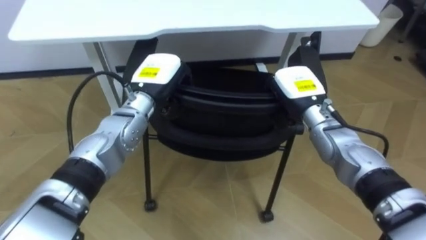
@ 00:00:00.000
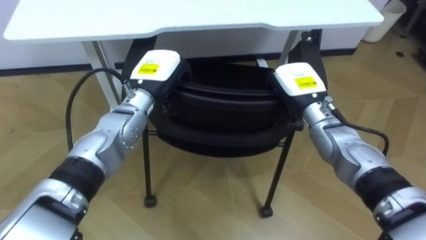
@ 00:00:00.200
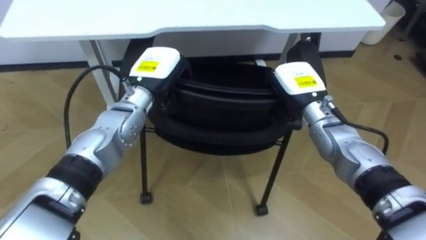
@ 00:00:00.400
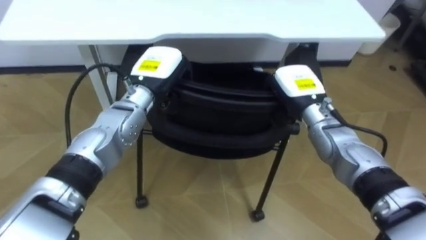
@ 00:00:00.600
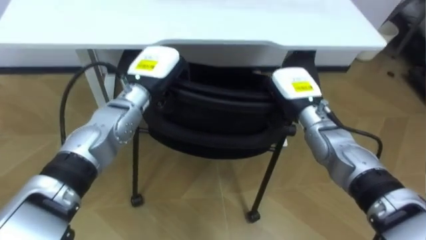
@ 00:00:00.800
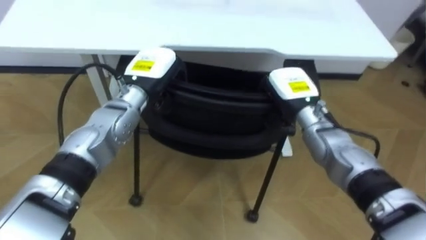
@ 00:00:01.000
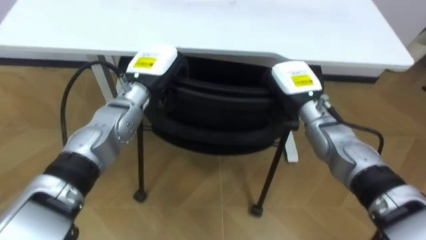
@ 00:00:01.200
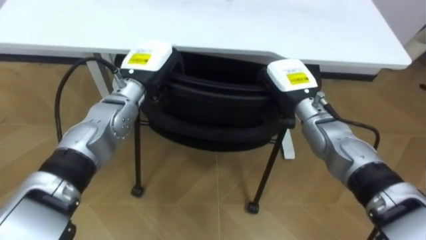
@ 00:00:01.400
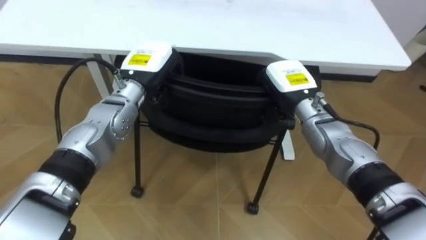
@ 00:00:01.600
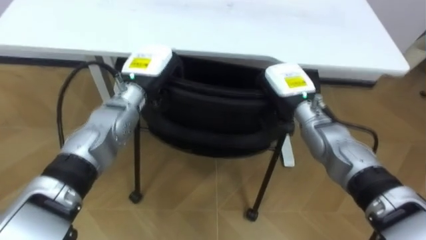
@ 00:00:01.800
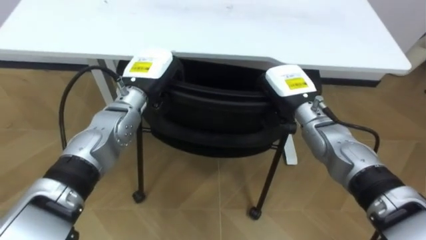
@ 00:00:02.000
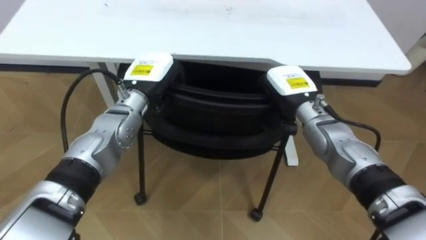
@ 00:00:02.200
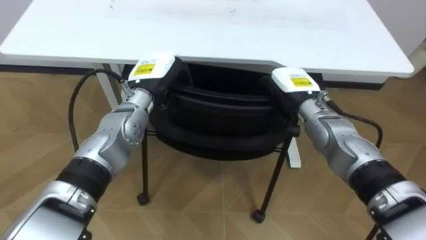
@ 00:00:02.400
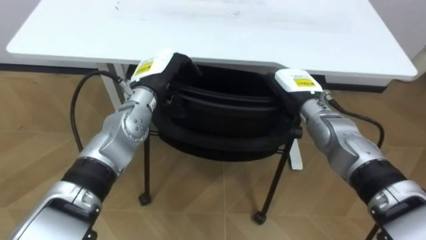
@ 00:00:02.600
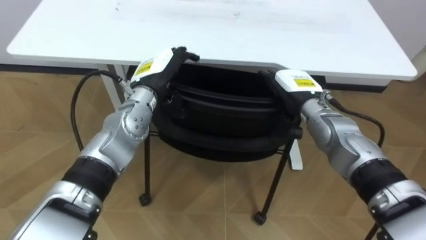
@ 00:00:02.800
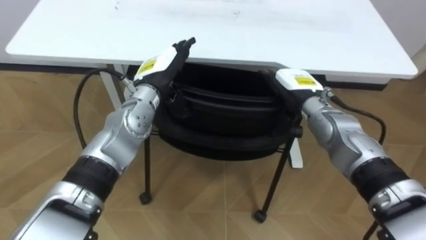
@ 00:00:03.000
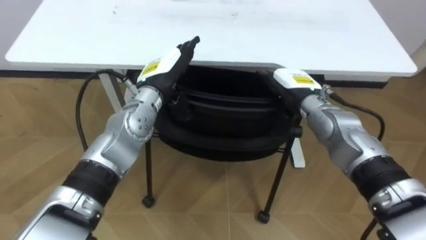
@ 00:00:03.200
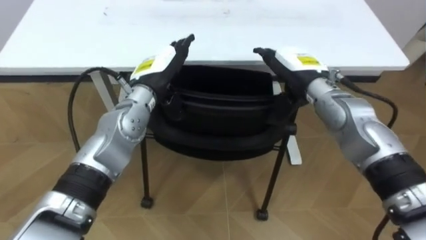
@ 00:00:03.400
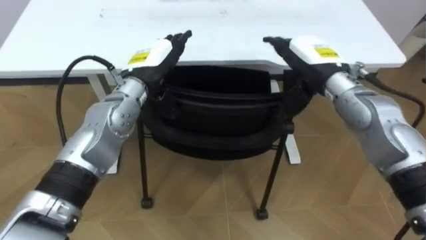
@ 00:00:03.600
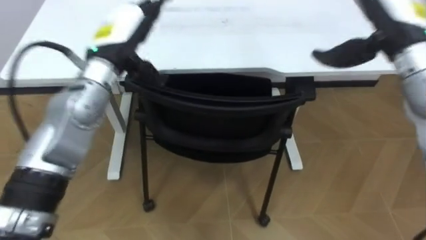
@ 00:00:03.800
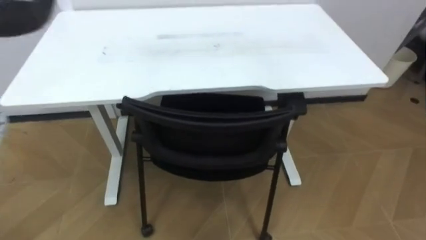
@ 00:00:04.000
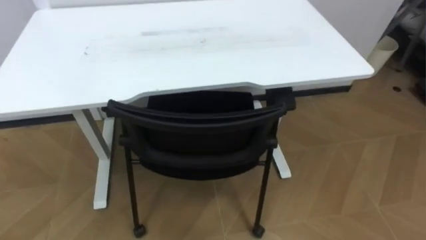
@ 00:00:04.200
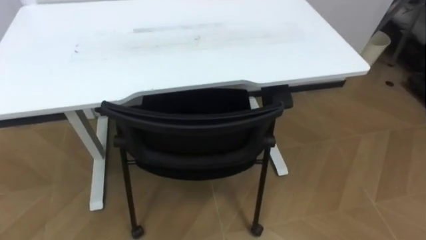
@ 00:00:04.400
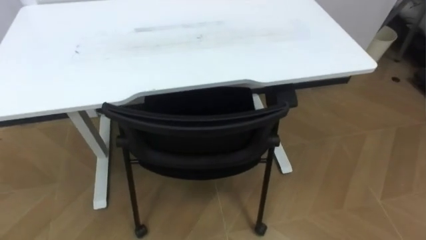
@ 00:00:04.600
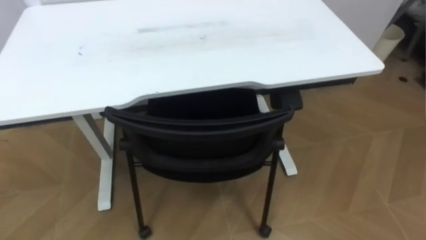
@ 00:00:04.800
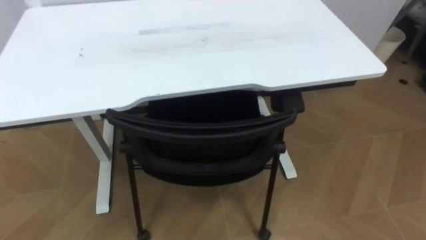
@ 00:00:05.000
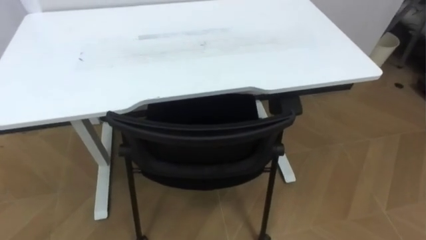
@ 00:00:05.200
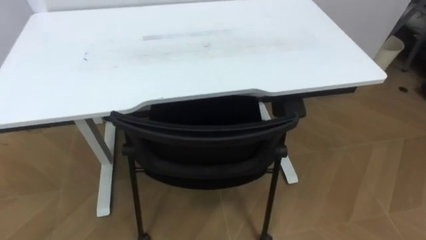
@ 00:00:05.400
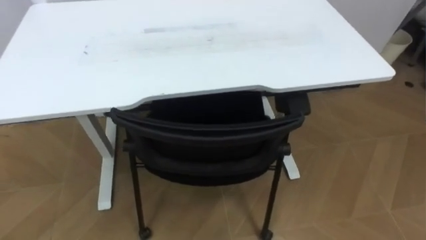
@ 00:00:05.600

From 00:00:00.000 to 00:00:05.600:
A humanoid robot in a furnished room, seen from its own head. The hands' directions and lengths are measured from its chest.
Task of the whole recording: Push the chair under the table.
From 00:00:01.400 to 00:00:02.800: The right hand opens its fingers; the left hand opens its fingers.

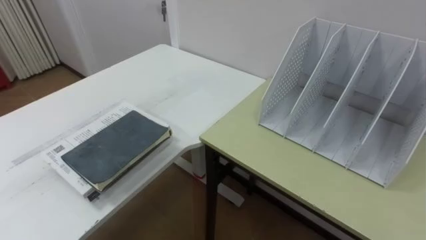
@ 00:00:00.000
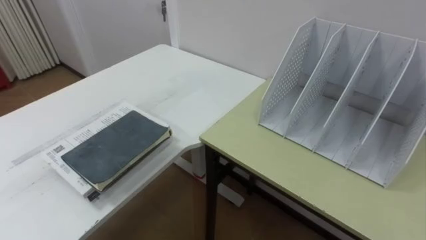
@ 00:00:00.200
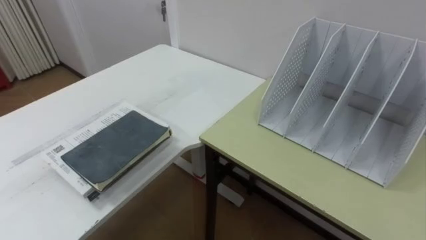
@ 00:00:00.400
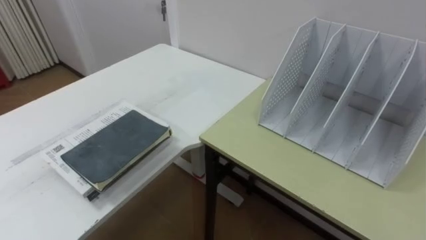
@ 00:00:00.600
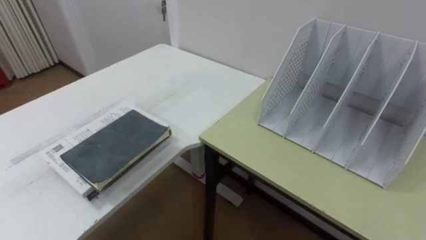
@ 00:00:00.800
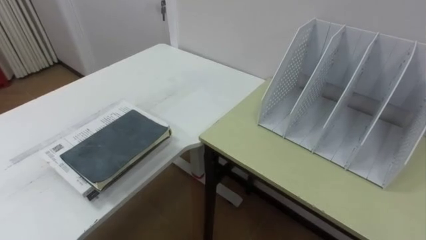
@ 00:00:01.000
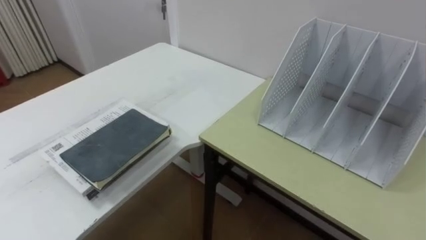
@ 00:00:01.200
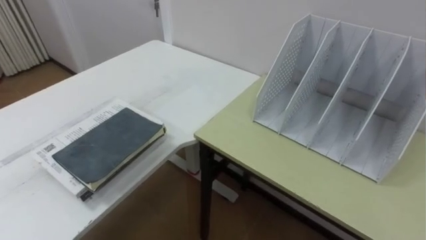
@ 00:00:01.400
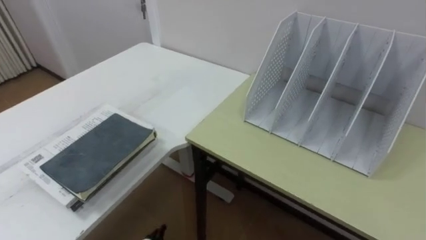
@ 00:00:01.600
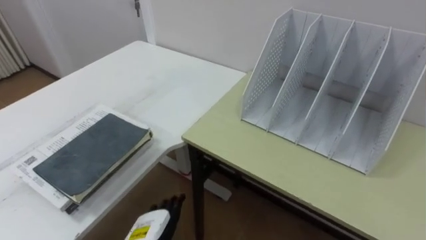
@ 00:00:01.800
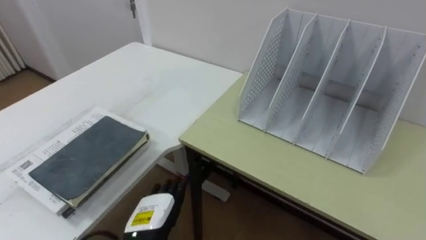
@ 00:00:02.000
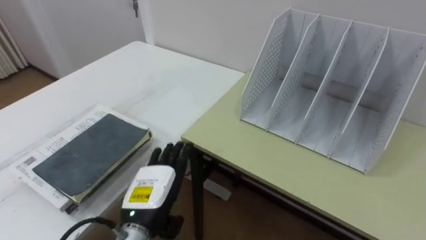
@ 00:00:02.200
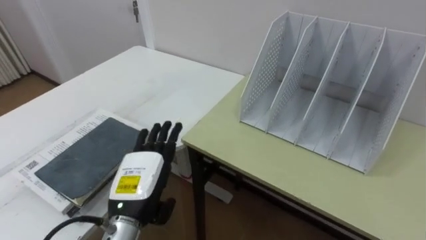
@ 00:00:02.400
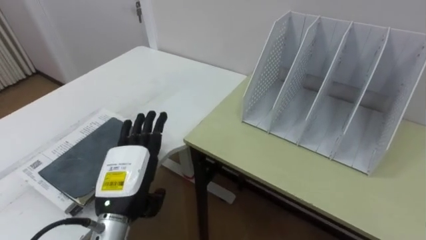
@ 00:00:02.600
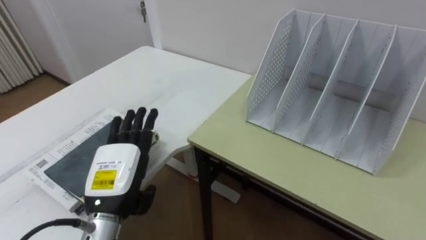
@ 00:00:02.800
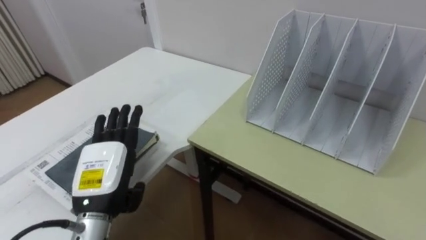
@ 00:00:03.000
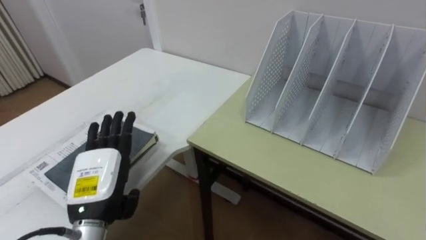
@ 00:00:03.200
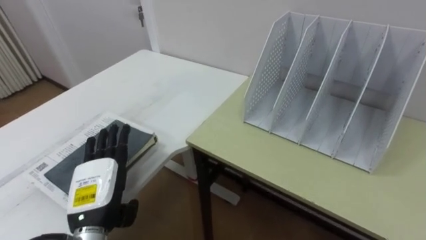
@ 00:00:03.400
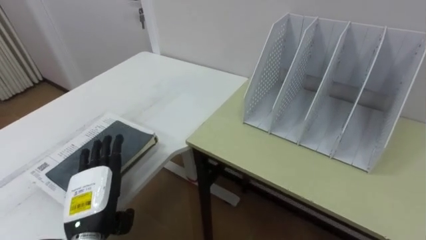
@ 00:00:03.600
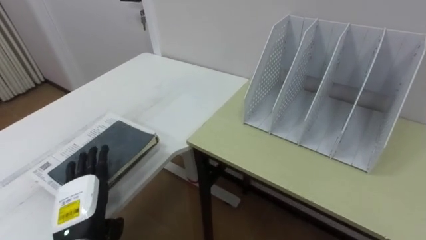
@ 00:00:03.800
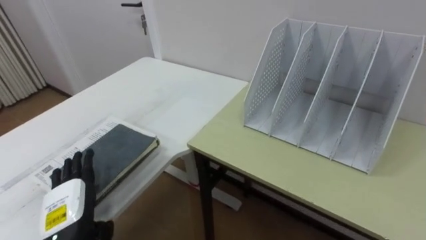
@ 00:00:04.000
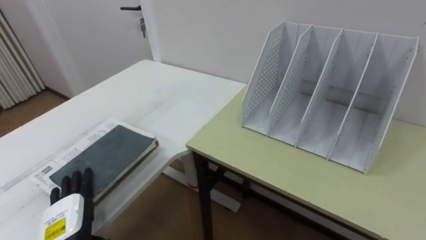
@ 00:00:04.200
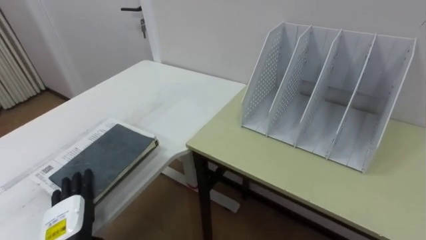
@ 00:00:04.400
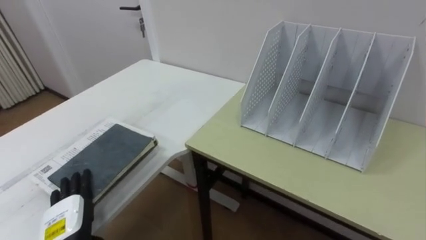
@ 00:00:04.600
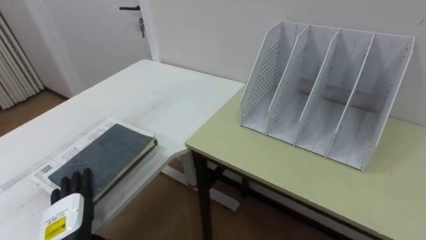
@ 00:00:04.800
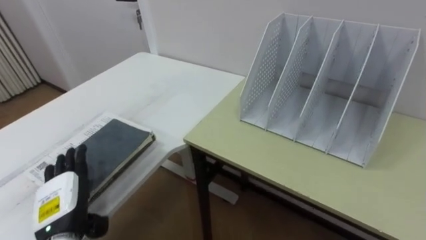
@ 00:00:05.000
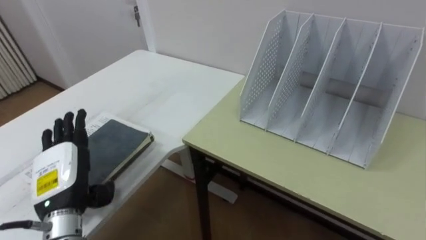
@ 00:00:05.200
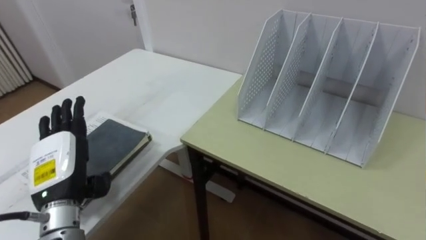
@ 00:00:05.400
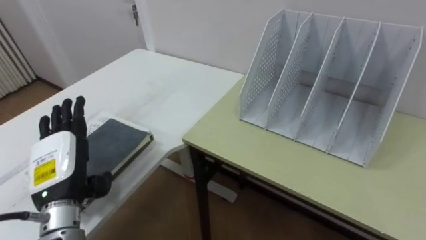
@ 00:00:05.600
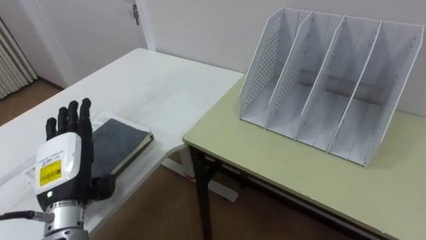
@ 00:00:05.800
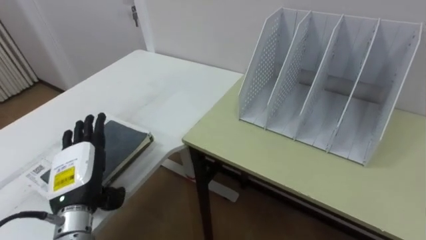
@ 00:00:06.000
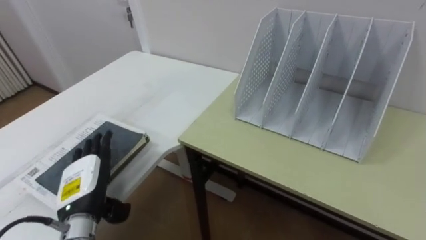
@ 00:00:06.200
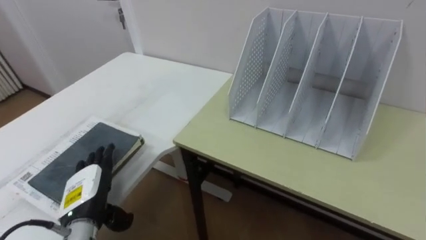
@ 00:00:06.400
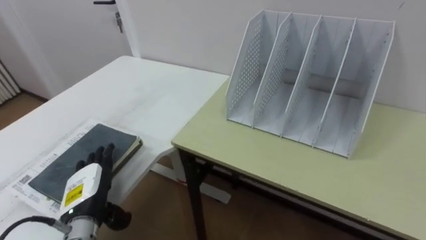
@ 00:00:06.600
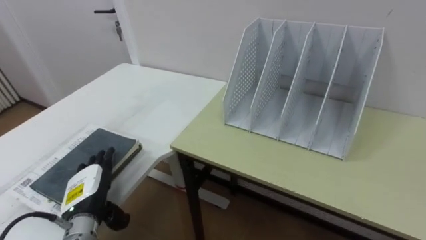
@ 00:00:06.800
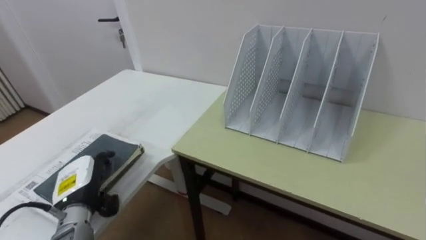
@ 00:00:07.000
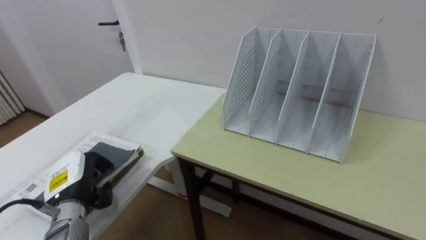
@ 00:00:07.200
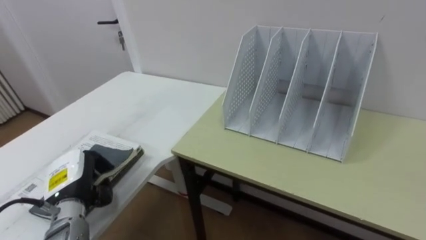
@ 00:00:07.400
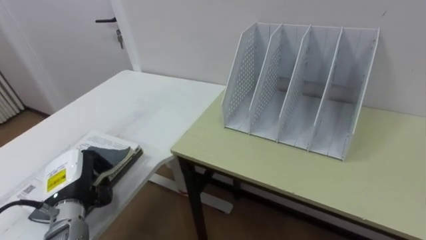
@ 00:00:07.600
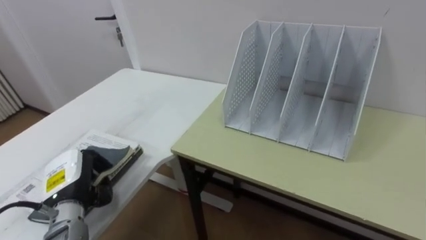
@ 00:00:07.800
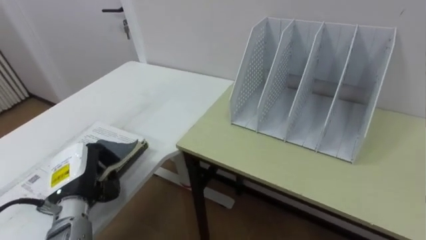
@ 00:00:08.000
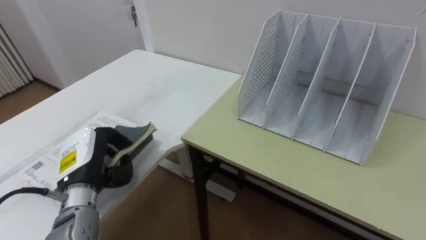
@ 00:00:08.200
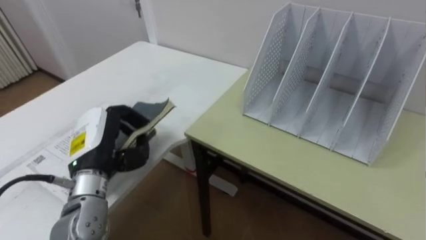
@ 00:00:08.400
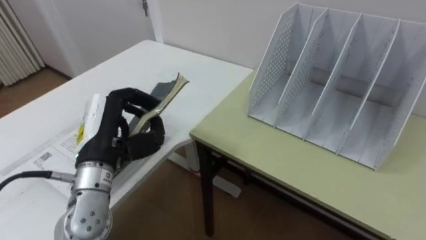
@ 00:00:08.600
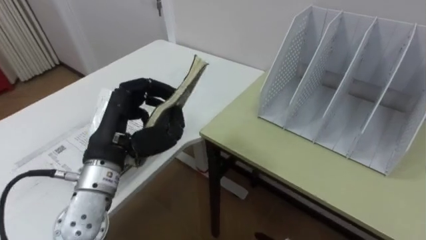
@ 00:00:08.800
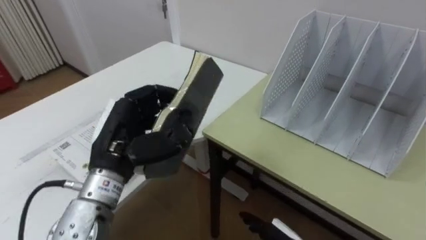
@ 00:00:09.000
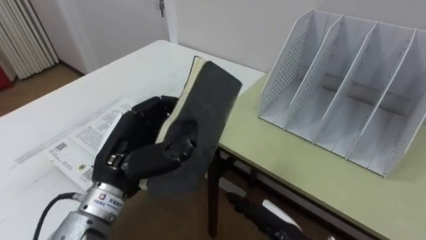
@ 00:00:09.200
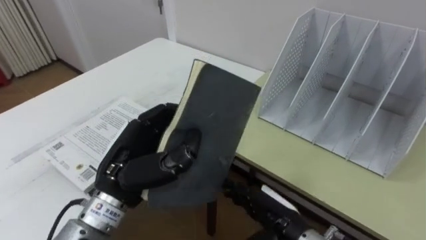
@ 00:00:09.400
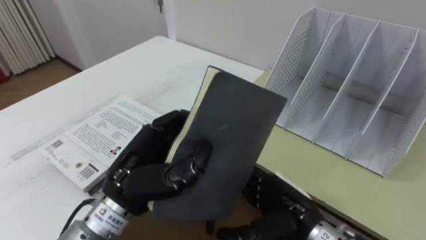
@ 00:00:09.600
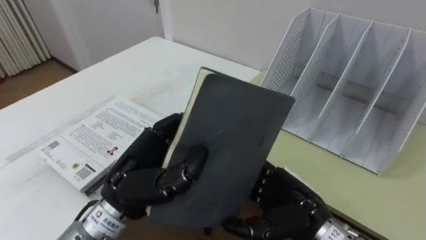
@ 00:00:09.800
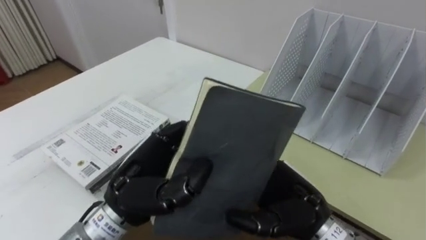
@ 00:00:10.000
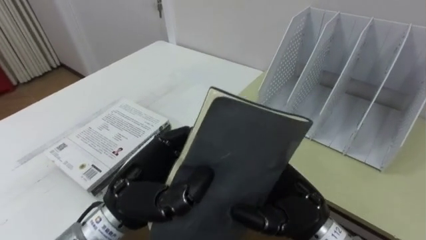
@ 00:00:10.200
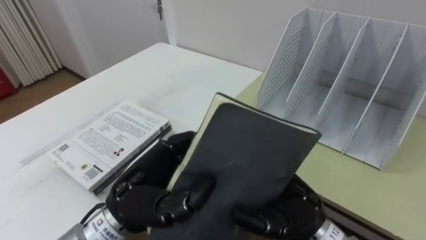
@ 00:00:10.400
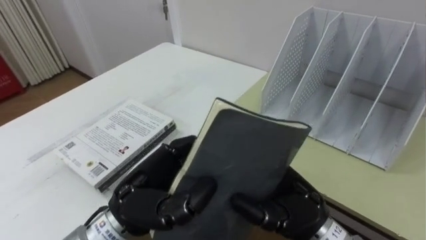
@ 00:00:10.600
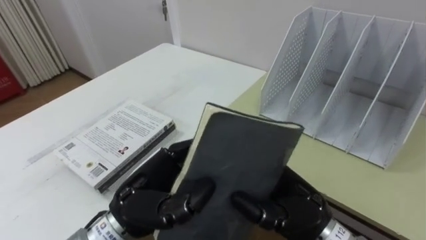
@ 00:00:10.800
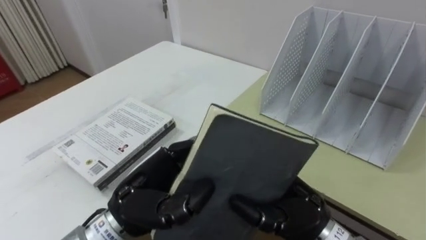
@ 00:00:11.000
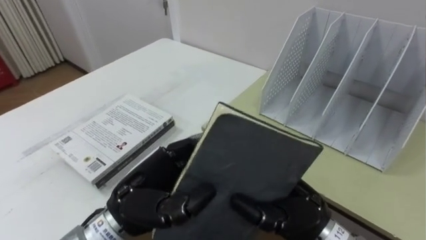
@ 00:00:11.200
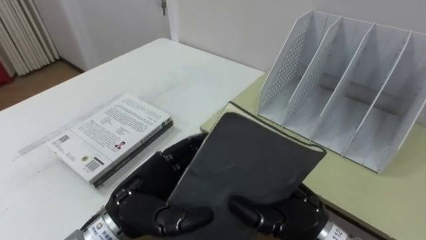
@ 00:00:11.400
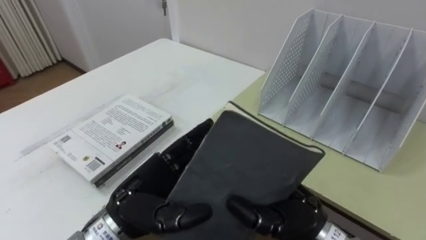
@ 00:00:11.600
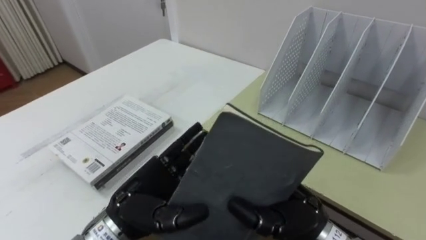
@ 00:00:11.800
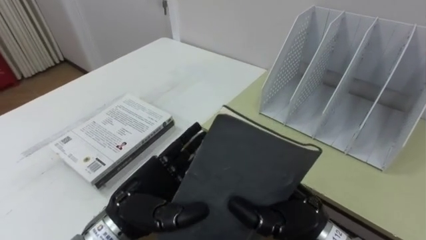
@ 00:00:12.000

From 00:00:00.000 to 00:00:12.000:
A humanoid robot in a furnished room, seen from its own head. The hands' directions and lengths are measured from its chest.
Task of the whole recording: Put the books on the table onto the bookshelf.
From 00:00:03.000 to 00:00:04.400: The left hand goes about 15 cm downward and to the left.
From 00:00:04.400 to 00:00:06.000: The left hand is displaced upward and forward by approximately 10 cm.
From 00:00:06.000 to 00:00:07.600: The left hand travels downward by roughly 5 cm, and closes up.
From 00:00:07.600 to 00:00:09.000: The left hand goes approximately 20 cm upward and to the right.
From 00:00:09.000 to 00:00:10.400: The left hand is displaced backward and to the right by approximately 10 cm.
From 00:00:10.400 to 00:00:12.000: The left hand heads downward, covering roughly 5 cm, and opens its fingers; the right hand closes.
